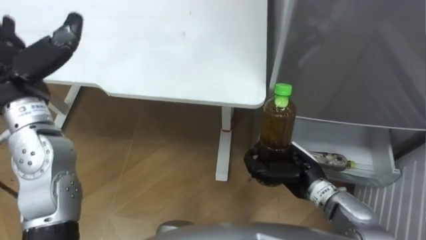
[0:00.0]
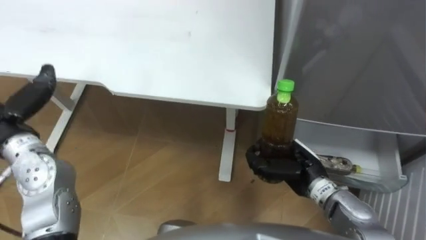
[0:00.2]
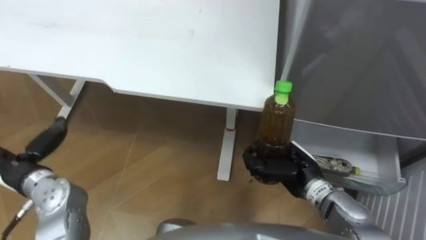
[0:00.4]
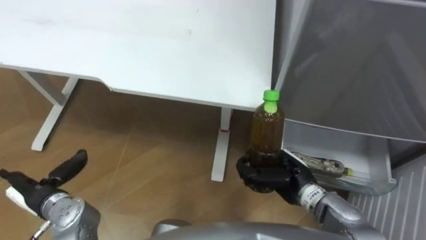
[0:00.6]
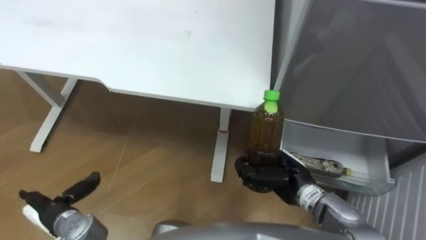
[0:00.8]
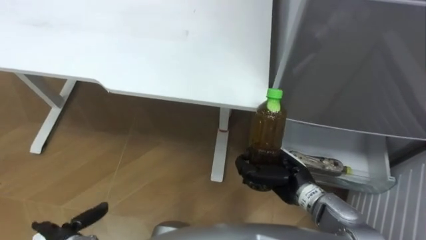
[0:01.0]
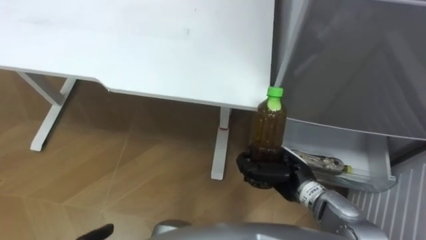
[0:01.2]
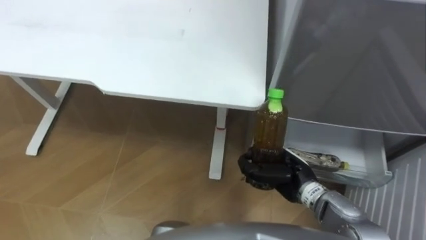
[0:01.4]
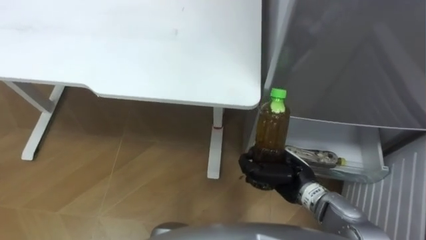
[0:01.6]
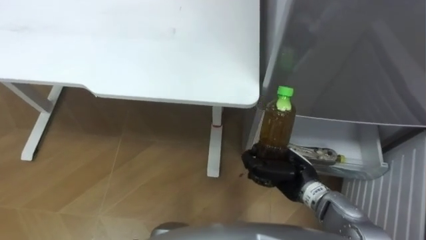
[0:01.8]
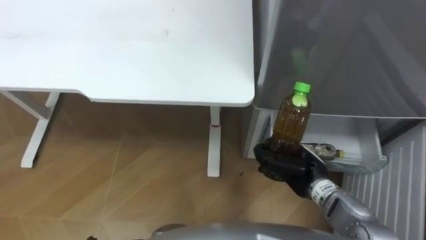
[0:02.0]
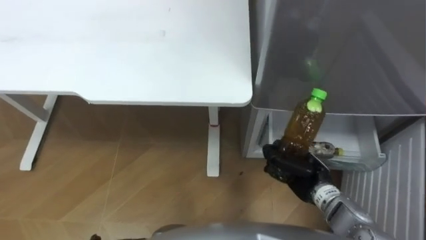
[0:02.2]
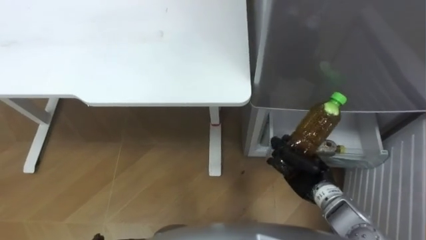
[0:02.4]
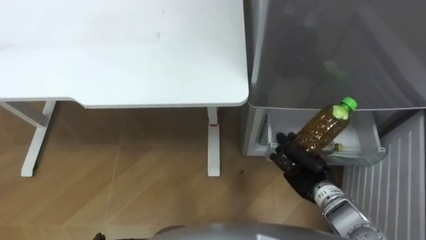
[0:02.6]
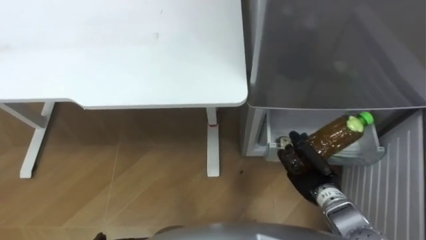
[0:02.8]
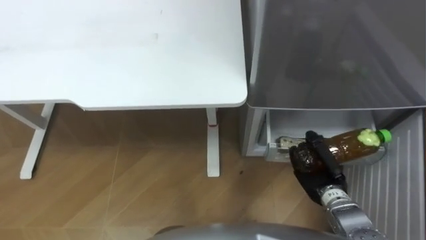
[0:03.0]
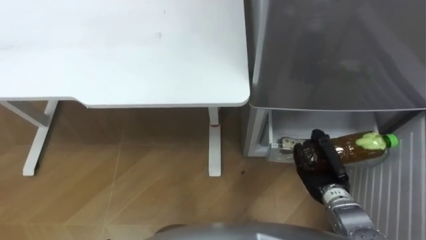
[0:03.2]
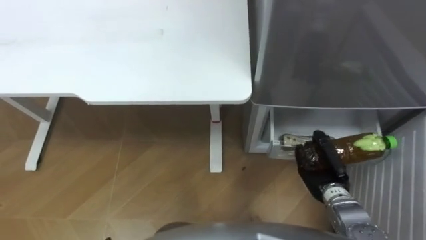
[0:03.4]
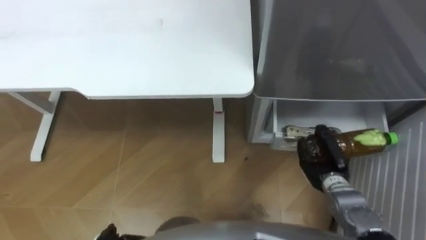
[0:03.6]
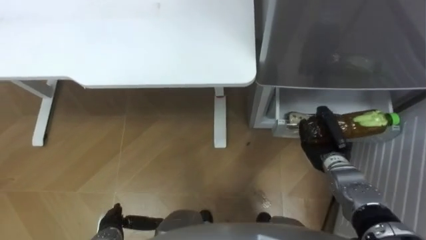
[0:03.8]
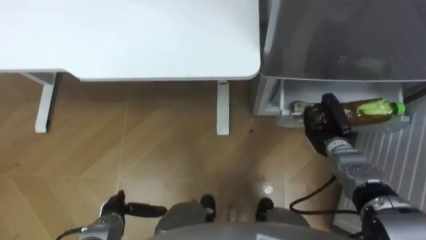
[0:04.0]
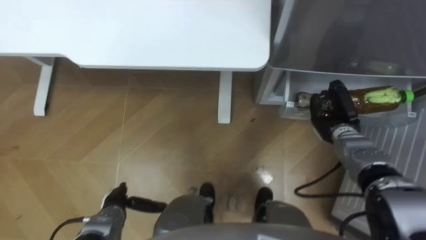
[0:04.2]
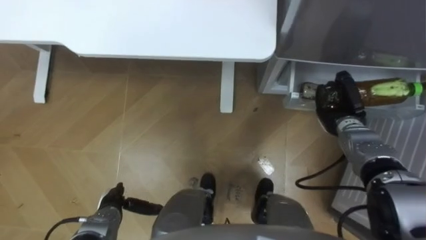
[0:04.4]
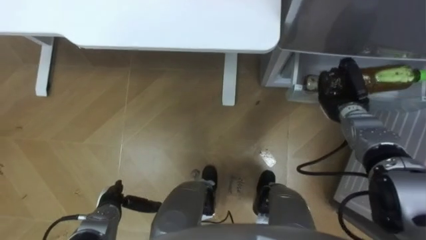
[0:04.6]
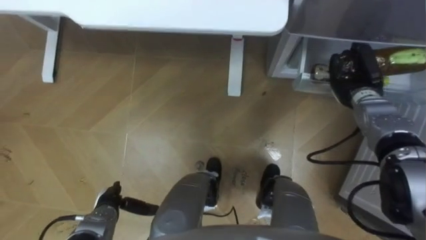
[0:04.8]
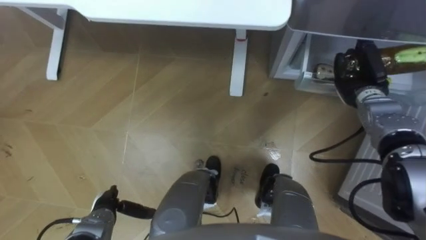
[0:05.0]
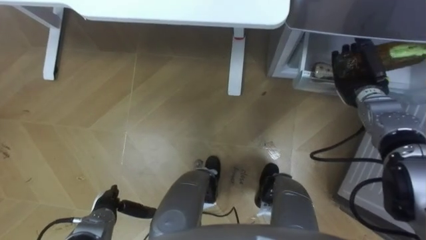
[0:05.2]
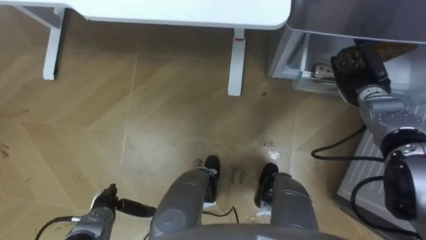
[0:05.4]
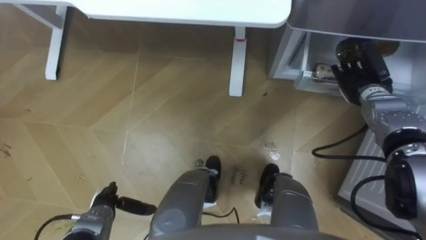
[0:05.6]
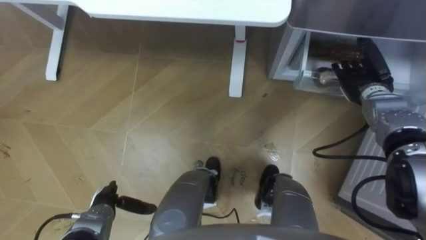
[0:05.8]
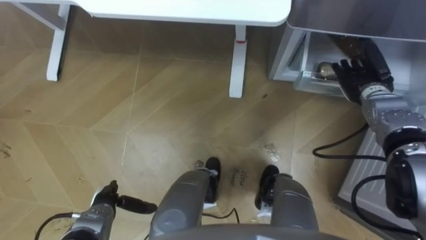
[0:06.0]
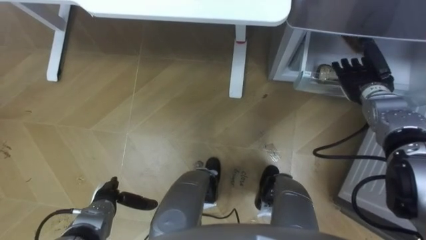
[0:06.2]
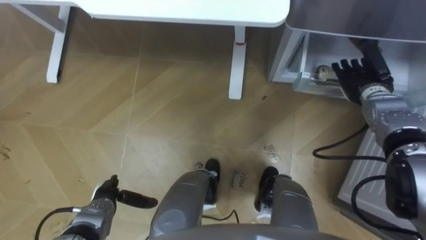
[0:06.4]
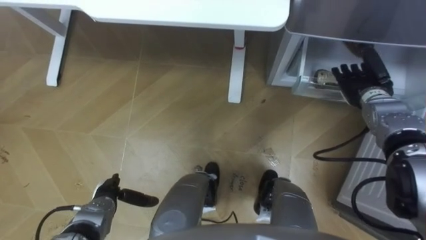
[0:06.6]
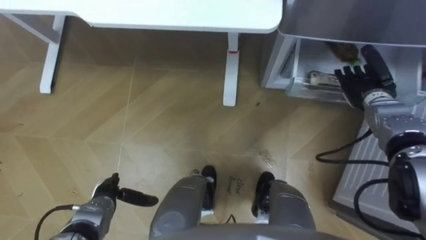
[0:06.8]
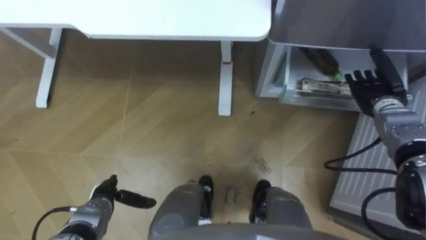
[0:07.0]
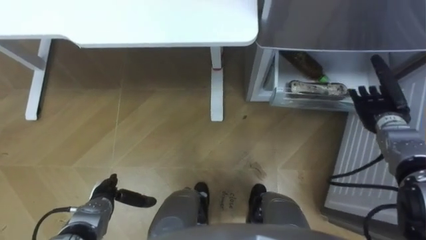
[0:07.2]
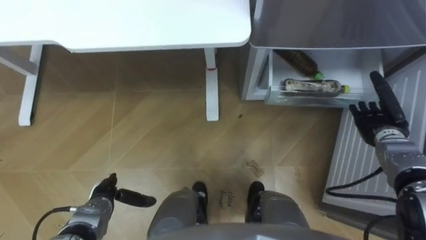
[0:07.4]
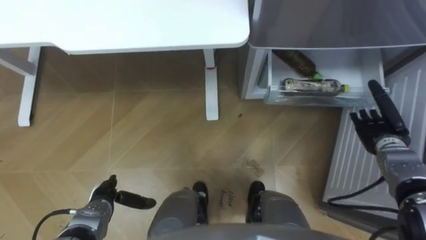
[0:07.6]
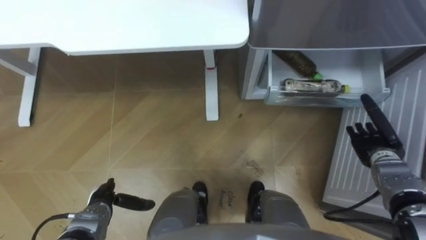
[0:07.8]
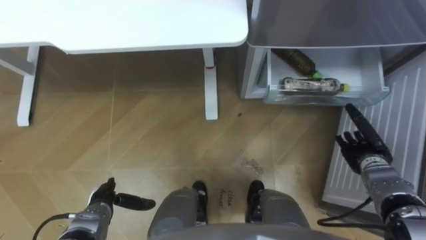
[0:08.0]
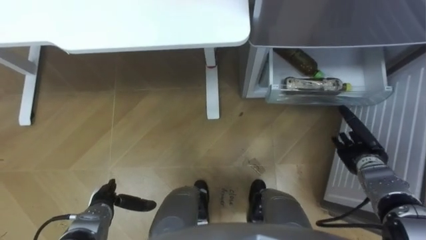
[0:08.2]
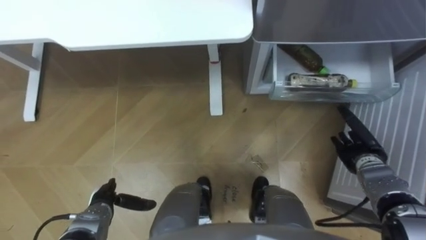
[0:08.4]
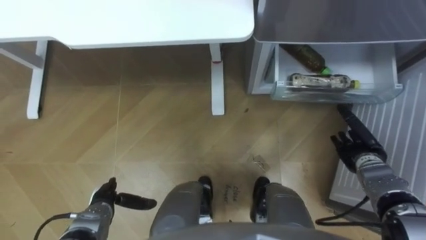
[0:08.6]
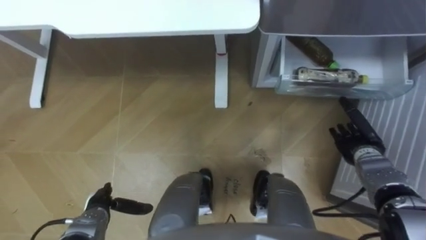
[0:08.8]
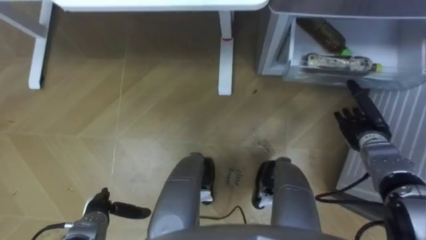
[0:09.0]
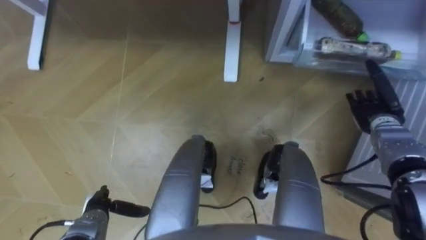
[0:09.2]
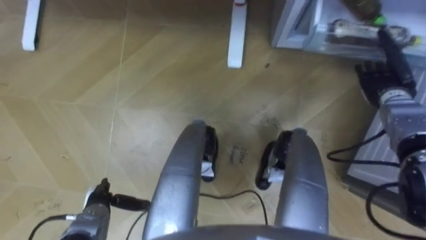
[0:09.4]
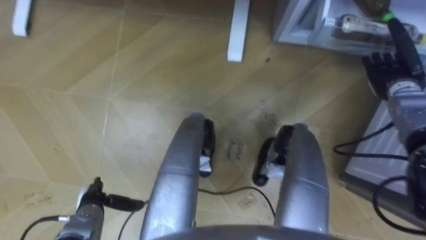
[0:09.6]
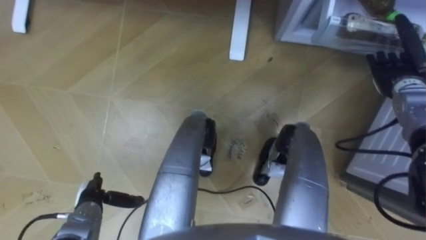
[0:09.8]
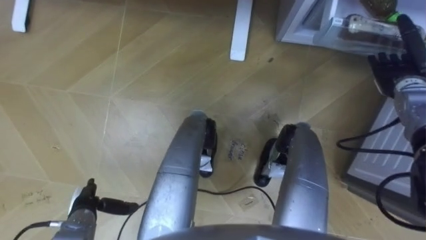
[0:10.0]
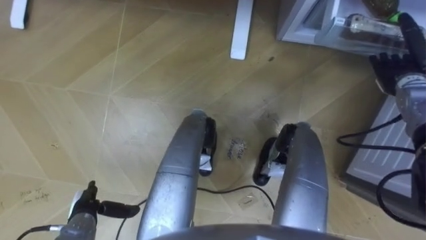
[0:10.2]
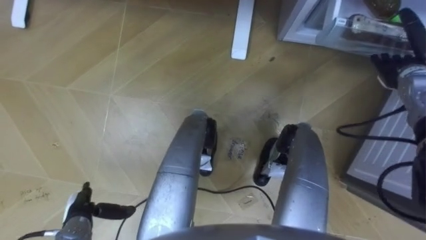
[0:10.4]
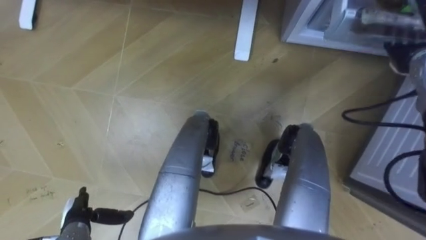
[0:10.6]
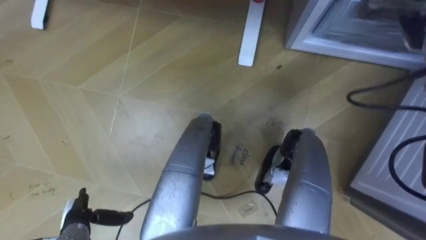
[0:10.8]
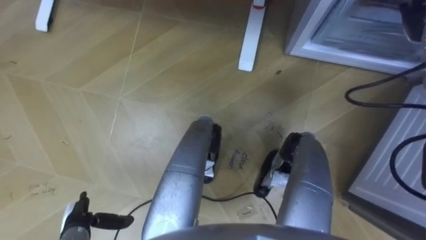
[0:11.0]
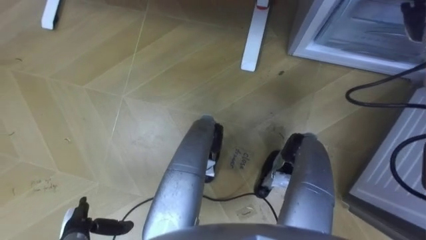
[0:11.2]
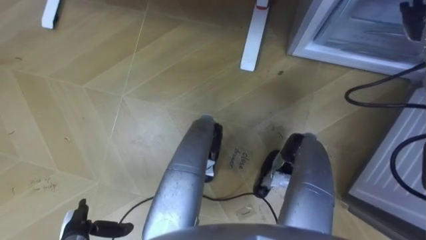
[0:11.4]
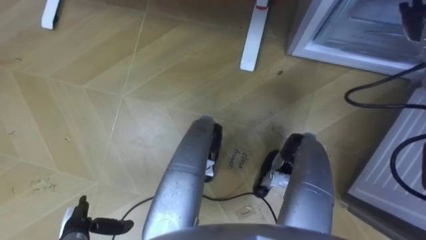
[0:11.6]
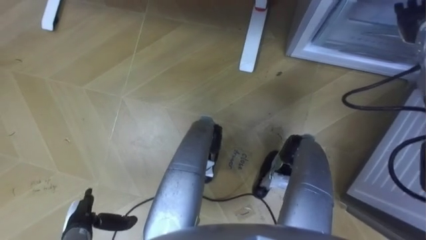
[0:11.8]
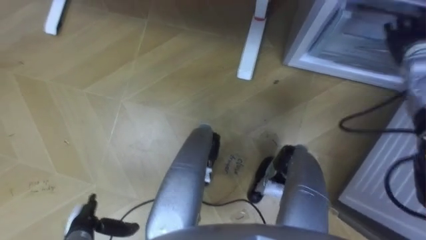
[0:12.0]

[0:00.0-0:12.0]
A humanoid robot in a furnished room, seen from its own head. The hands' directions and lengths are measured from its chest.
Task of the whole recording: Place the drink on the table on the bottom shelf of the refrigerator, then close the drawer and the refrigerator door.
0:01.6 to 0:03.0: The right hand moves to the right, some 10 cm.
0:03.0 to 0:04.4: The right hand heads forward, covering some 15 cm.
0:04.4 to 0:06.0: The right hand goes roughly 10 cm upward and forward, and opens up.
0:06.0 to 0:07.6: The right hand heads backward and downward, covering roughly 10 cm.
0:09.0 to 0:10.4: The right hand shifts approximately 15 cm upward and forward.

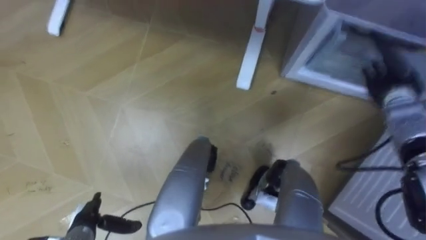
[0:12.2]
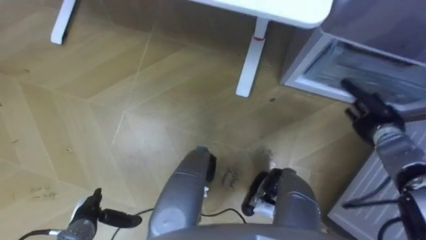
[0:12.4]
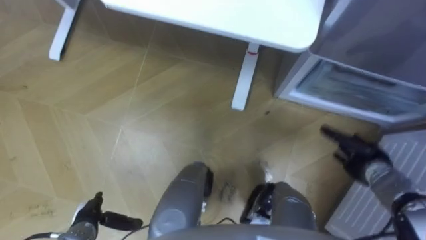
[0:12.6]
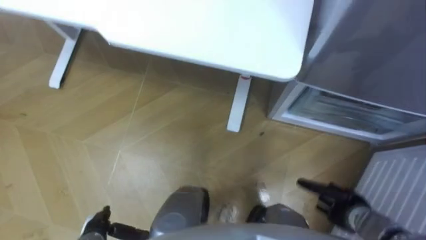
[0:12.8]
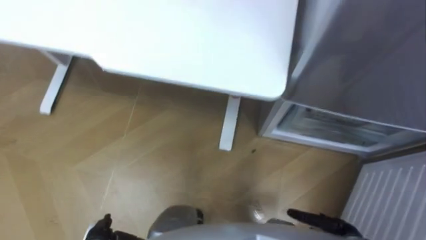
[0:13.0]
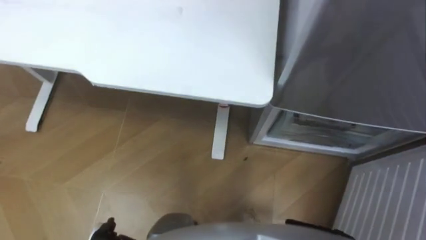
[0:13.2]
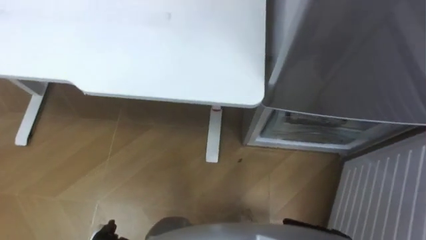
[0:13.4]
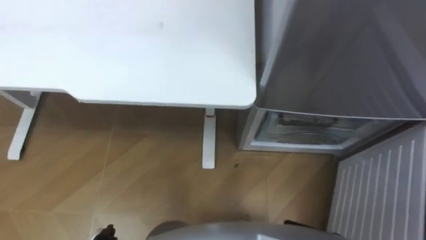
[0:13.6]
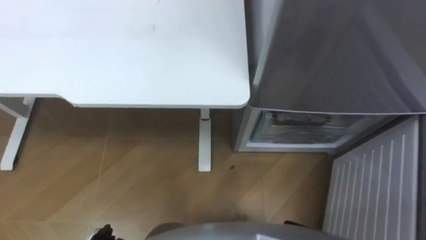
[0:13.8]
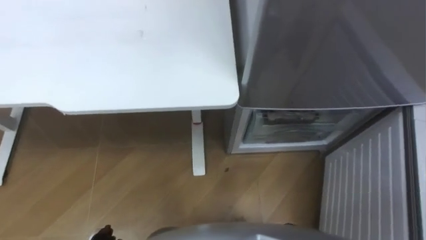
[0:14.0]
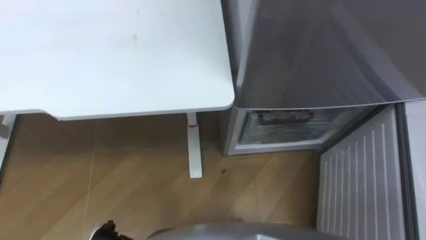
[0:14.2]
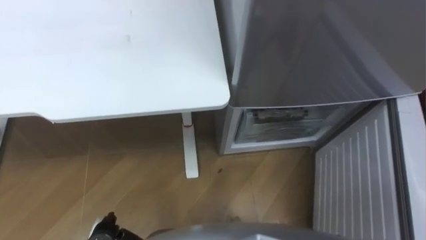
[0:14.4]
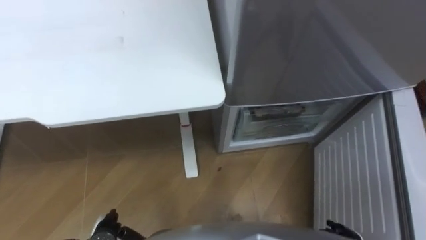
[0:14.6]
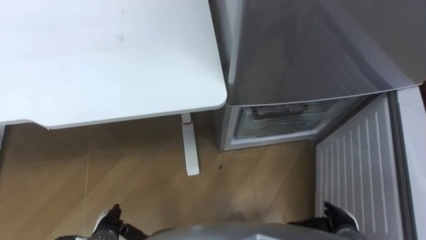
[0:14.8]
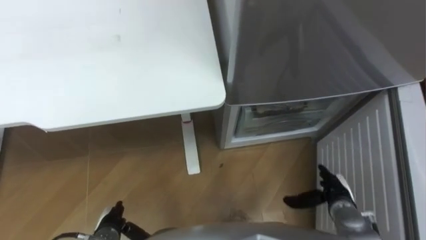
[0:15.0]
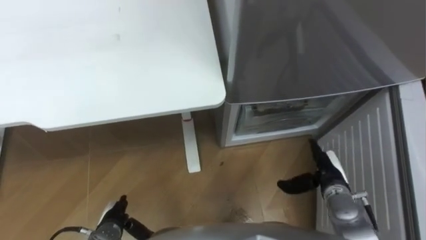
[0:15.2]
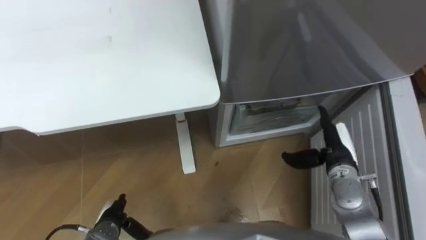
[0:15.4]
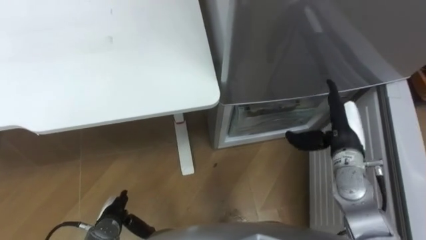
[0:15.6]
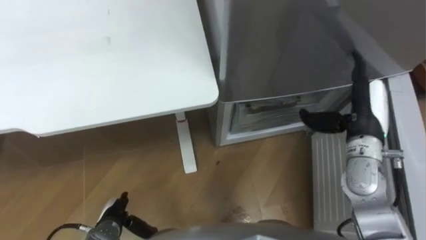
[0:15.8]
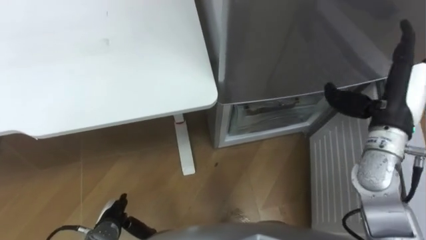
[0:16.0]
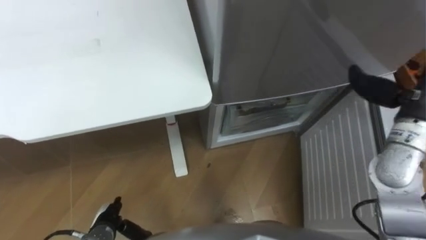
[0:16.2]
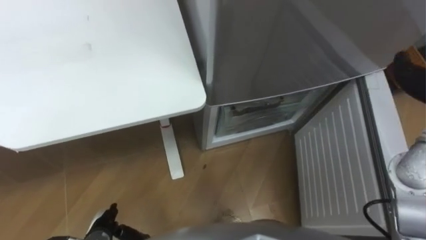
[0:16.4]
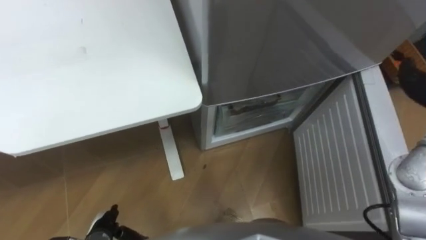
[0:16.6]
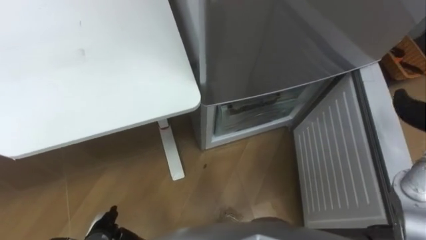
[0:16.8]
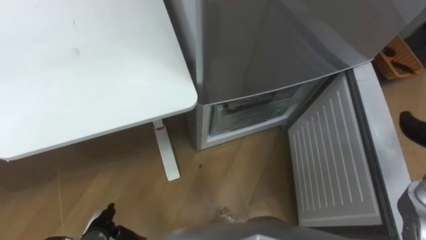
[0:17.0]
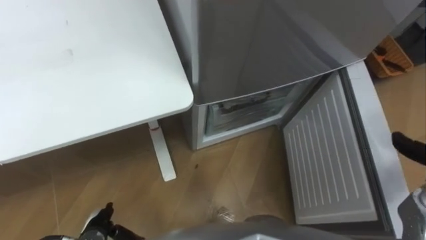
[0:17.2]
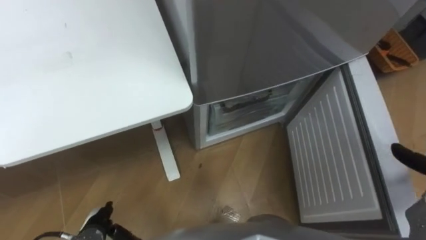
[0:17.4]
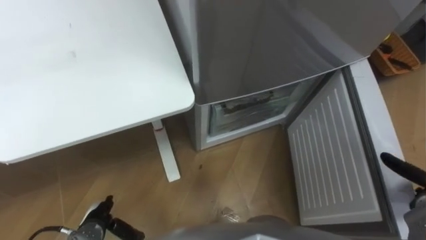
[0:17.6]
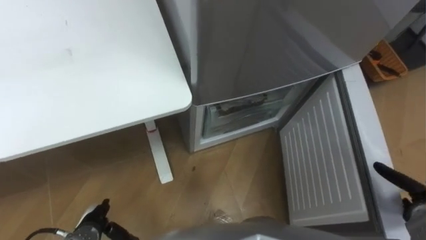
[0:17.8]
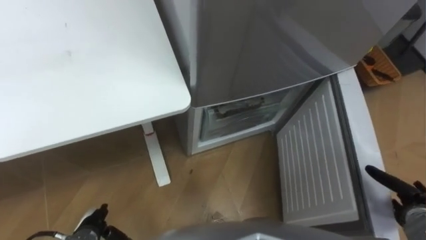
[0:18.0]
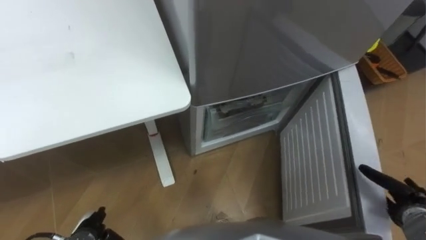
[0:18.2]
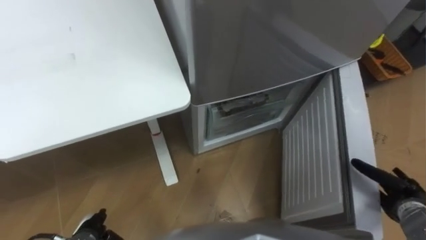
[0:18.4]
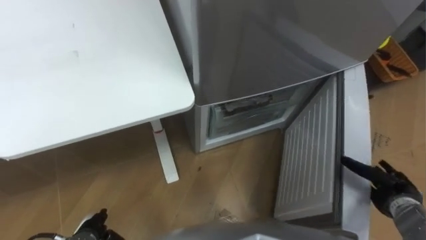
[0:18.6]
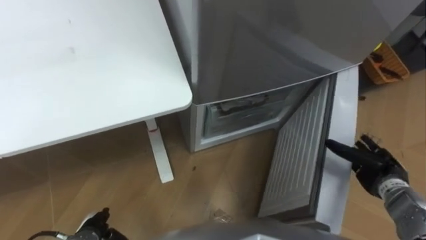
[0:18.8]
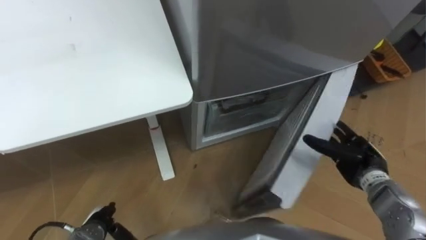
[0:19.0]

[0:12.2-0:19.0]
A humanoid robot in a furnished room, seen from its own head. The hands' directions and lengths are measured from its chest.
Task of the whole recording: Place the drink on the table on the bottom shelf of the refrigerator, then close the drawer and the refrigerator door.
0:15.0 to 0:16.2: The right hand moves upward, some 30 cm.
0:17.6 to 0:19.0: The right hand moves to the left and forward, about 15 cm.
